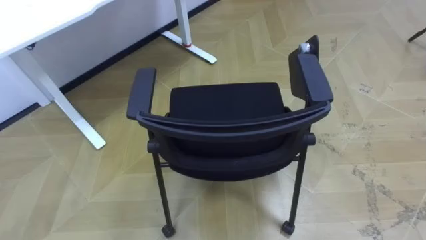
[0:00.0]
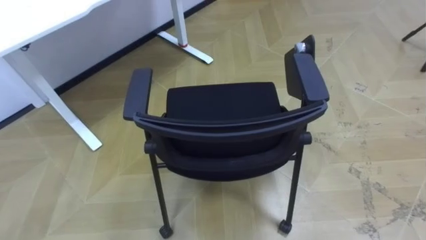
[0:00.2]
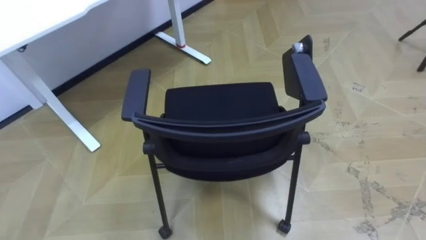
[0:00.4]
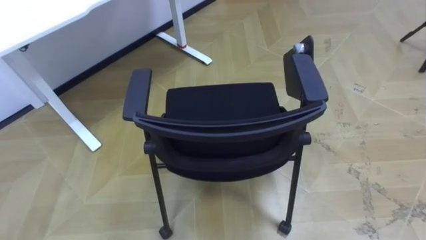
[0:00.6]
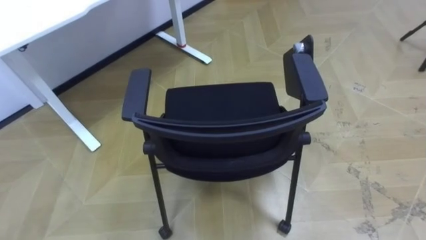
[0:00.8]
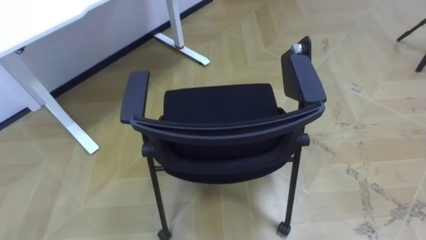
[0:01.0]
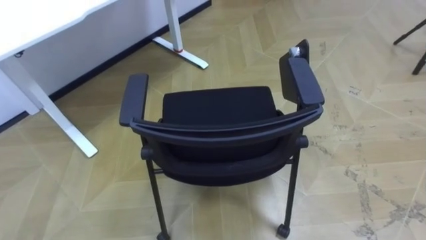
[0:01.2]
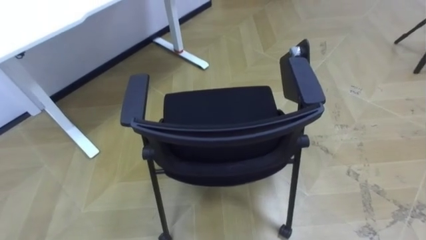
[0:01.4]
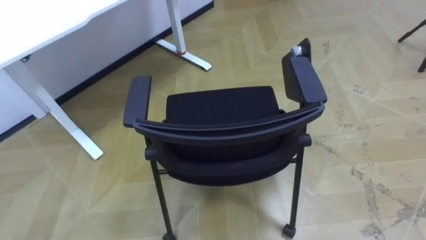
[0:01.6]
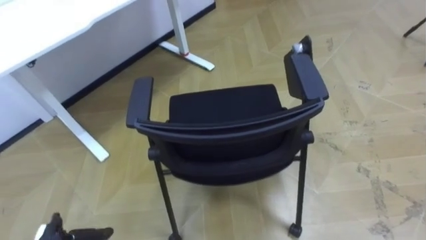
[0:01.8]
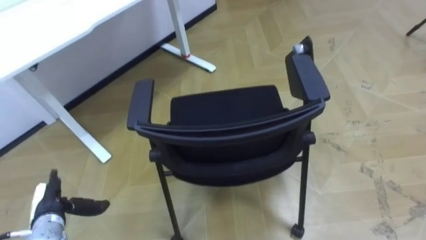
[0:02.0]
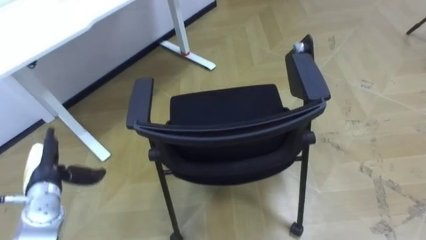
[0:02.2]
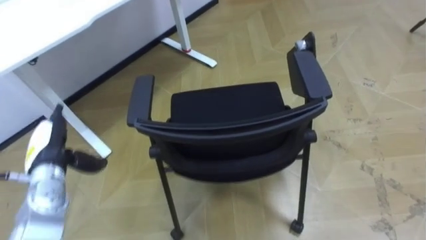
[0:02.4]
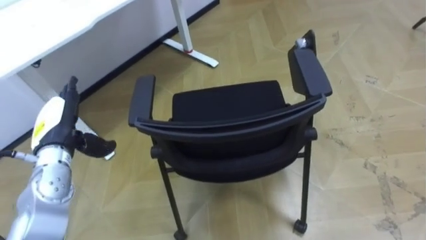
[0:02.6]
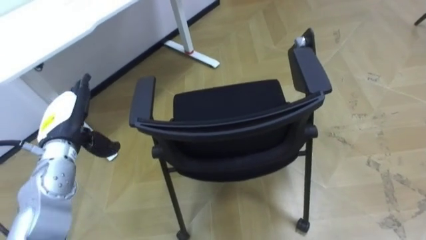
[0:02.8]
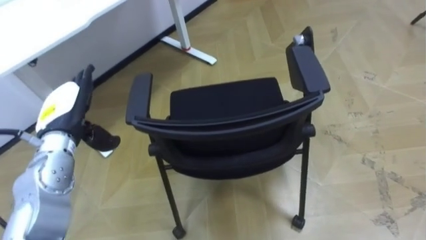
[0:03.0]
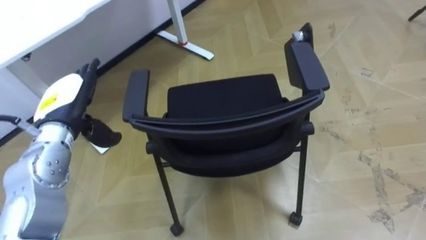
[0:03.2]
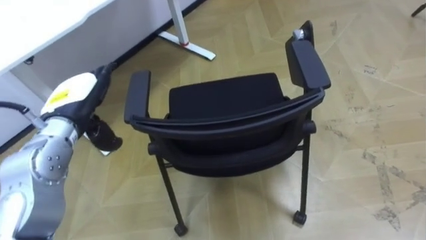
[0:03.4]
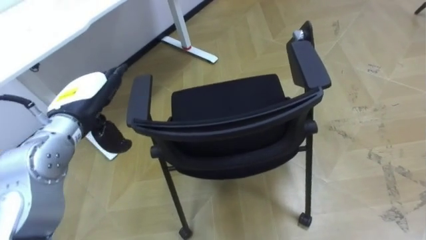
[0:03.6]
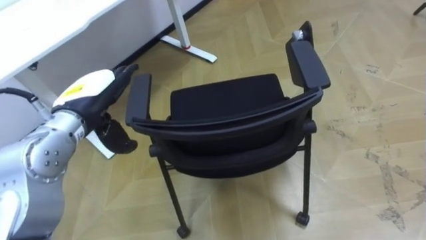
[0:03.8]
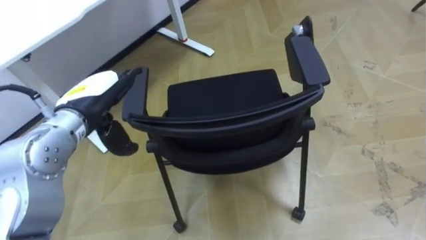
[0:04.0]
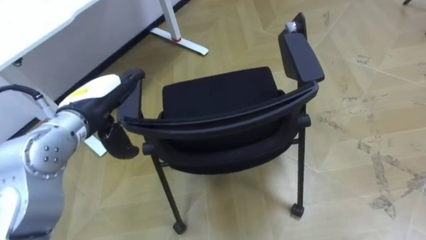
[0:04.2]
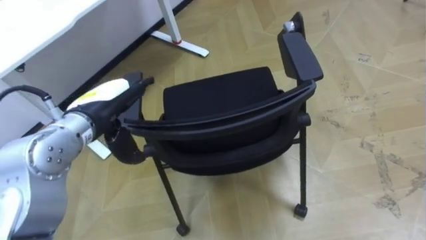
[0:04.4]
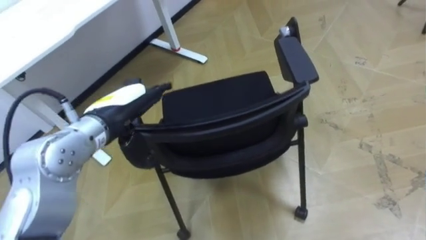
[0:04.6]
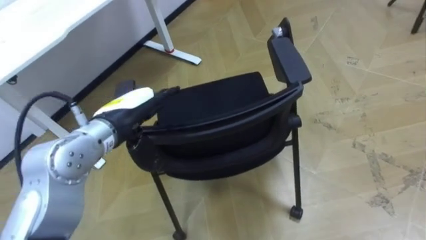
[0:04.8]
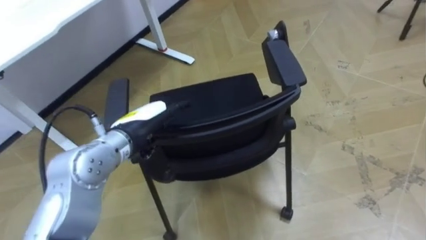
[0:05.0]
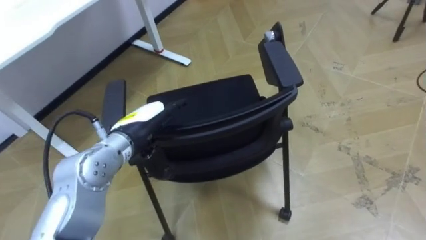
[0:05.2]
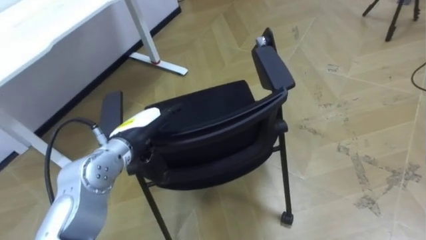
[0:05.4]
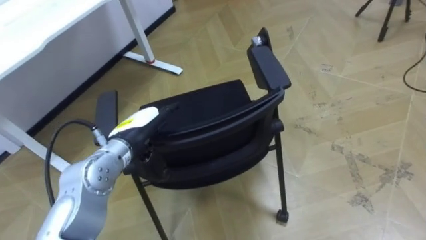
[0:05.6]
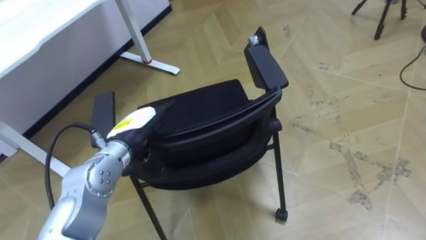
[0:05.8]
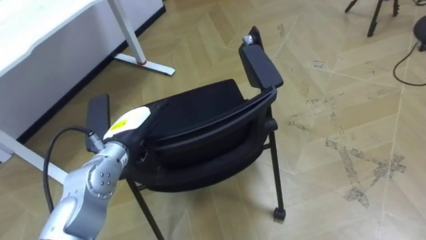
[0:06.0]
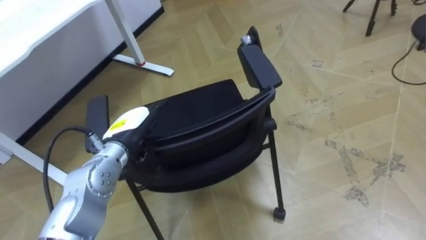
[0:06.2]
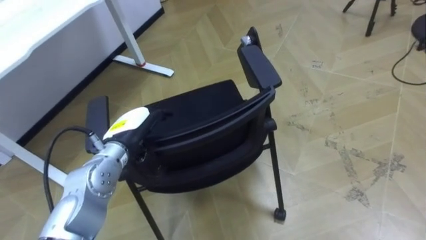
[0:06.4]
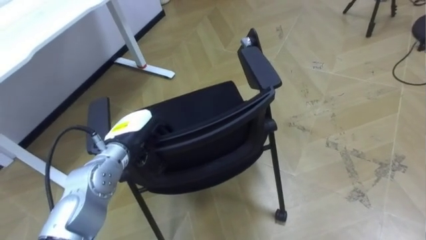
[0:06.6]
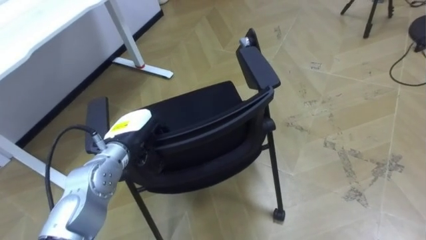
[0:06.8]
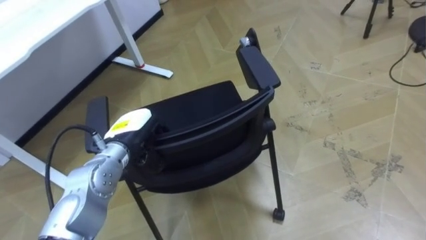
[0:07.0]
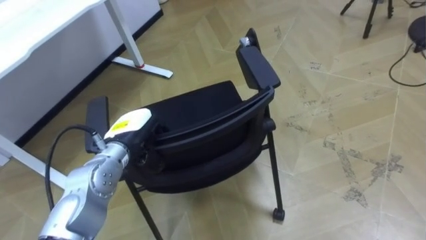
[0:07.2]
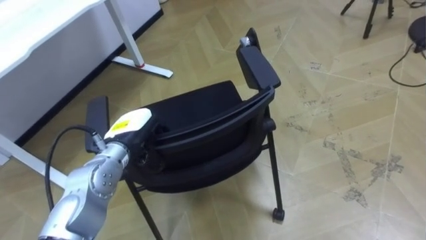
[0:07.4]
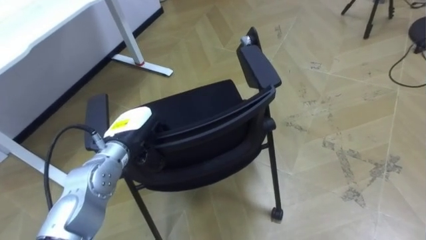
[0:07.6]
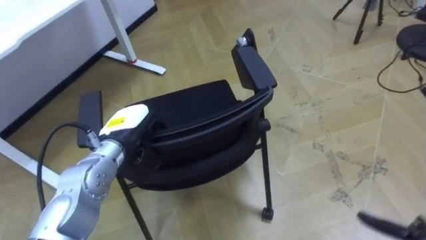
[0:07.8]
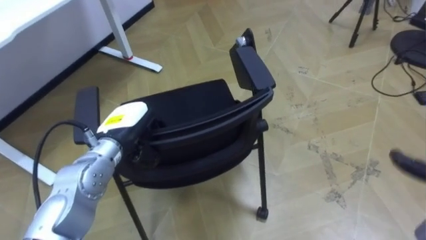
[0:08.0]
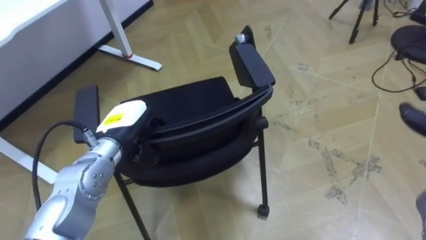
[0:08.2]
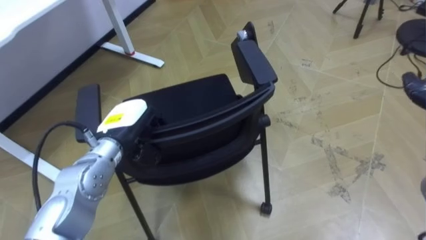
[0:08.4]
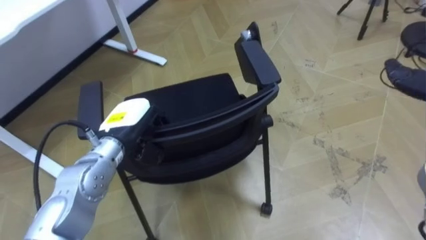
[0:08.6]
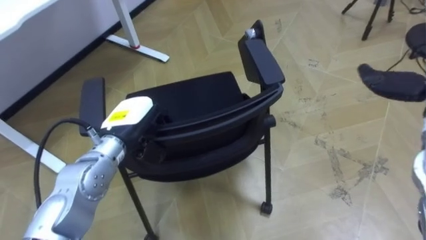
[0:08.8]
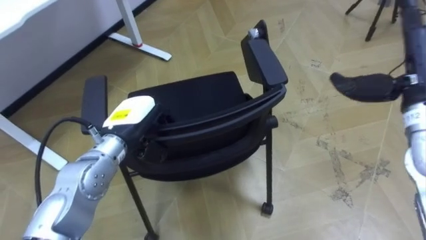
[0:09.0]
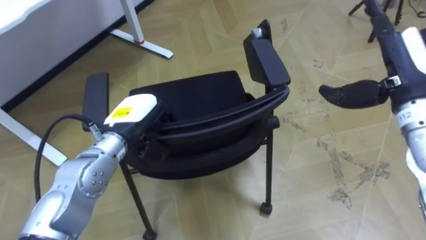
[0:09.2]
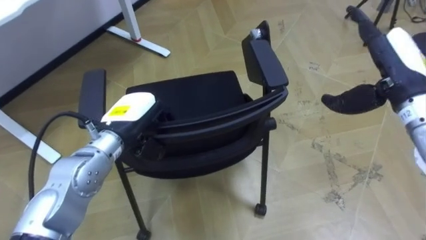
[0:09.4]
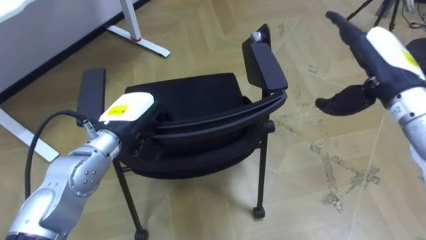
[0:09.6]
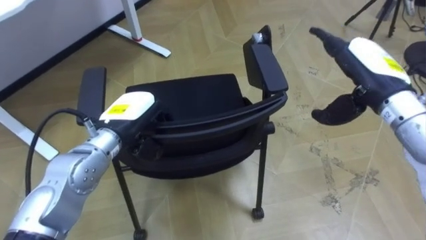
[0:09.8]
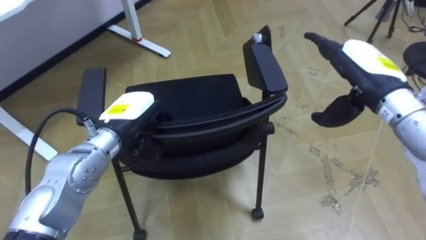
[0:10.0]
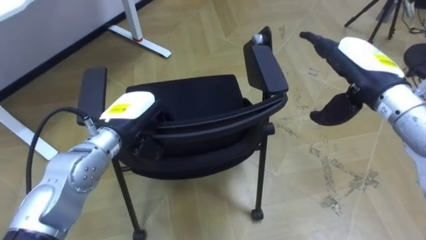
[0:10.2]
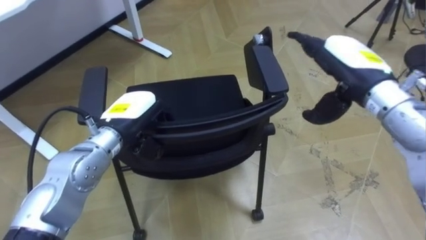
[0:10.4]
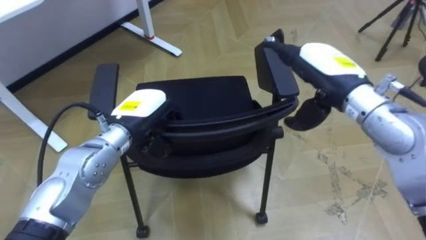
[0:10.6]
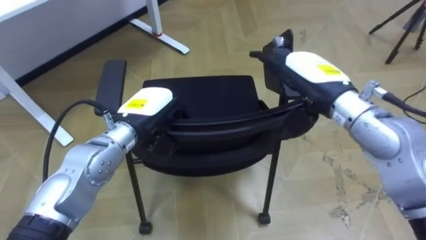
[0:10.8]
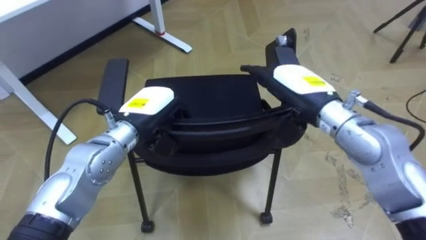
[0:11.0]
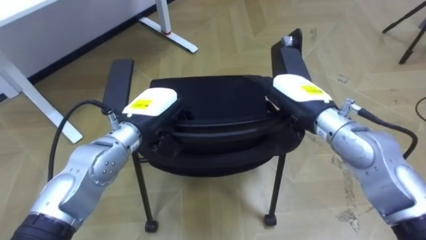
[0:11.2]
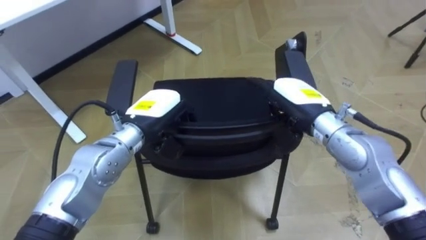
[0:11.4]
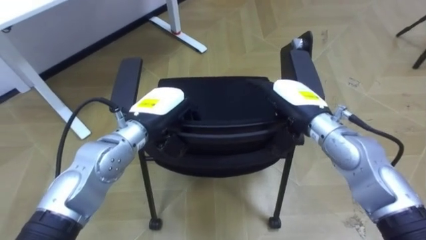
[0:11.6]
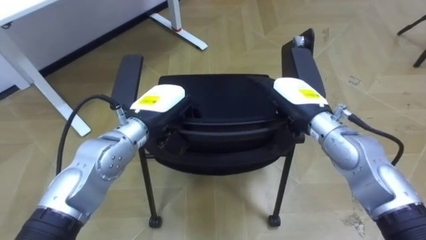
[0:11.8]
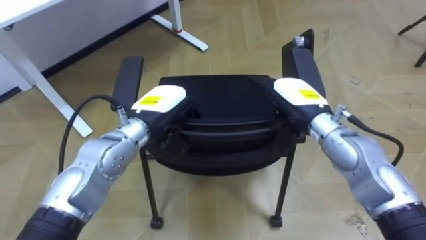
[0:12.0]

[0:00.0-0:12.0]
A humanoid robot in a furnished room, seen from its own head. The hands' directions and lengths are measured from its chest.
Task of the whole recording: Push the chair under the table.
0:03.0 to 0:04.4: The left hand goes approximately 5 cm to the right.
0:04.4 to 0:06.0: The left hand moves downward, about 10 cm.
0:06.0 to 0:07.6: The left hand closes its fingers.
0:09.0 to 0:10.4: The right hand heads to the left, covering roughly 10 cm.
0:10.4 to 0:12.0: The left hand shifts roughly 5 cm to the right. The right hand is displaced downward and to the left by some 10 cm.

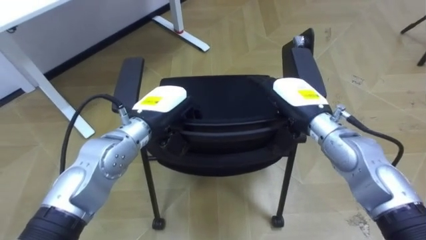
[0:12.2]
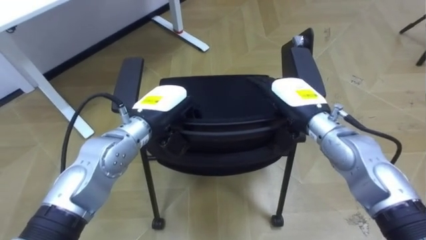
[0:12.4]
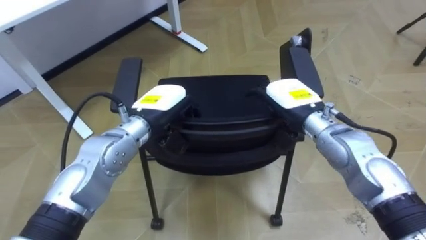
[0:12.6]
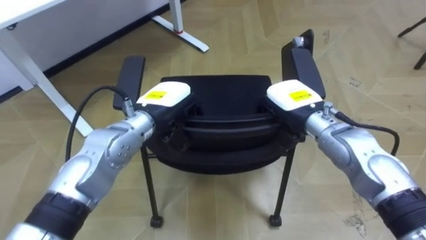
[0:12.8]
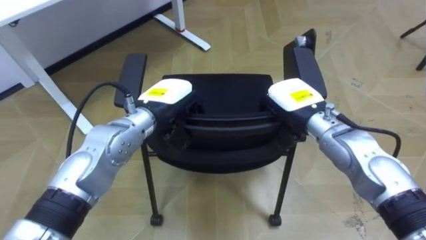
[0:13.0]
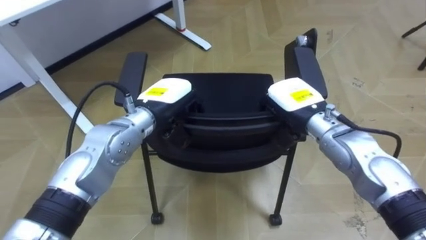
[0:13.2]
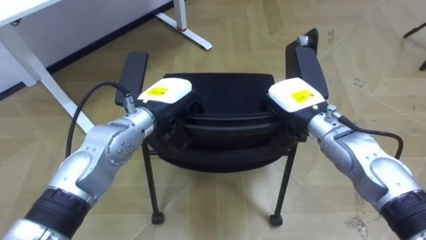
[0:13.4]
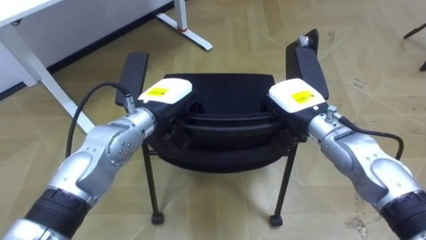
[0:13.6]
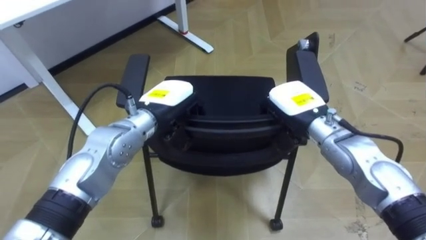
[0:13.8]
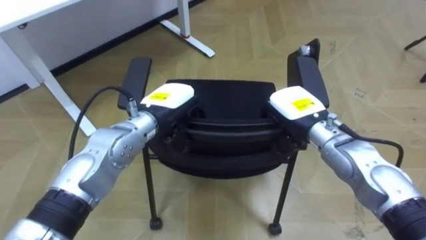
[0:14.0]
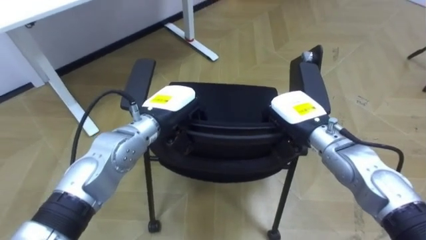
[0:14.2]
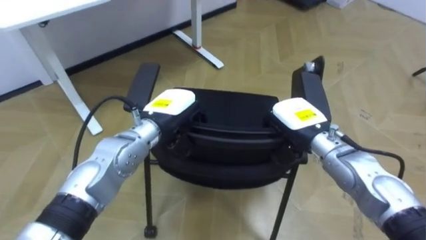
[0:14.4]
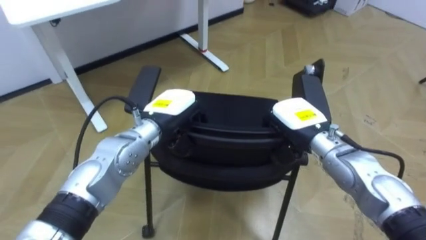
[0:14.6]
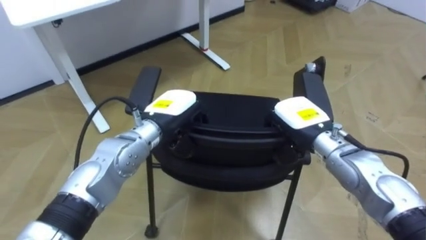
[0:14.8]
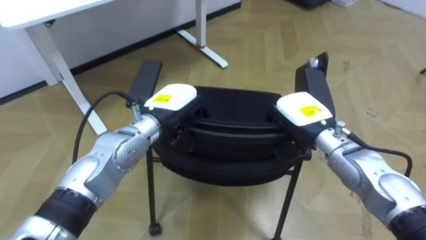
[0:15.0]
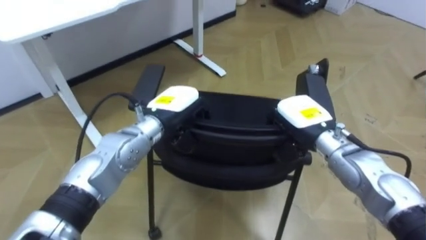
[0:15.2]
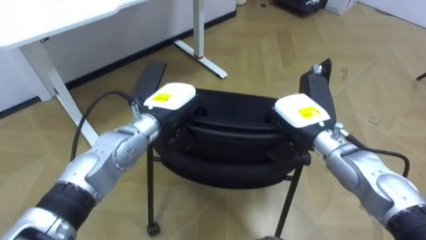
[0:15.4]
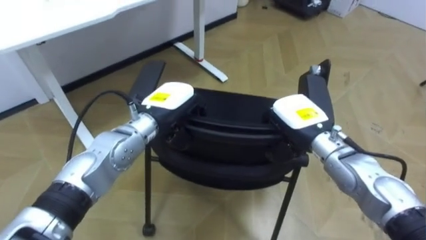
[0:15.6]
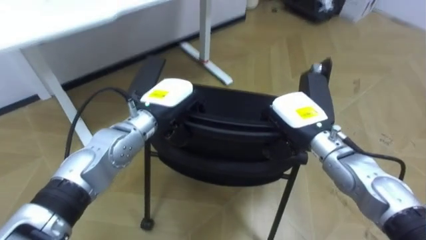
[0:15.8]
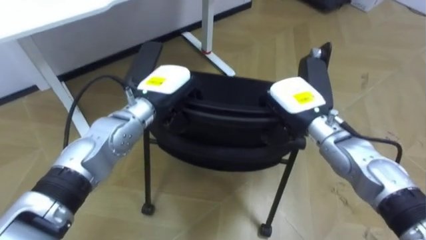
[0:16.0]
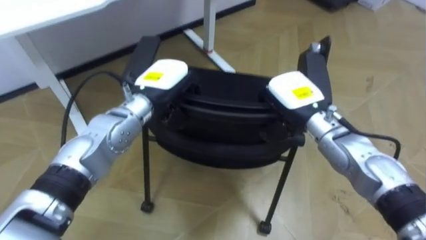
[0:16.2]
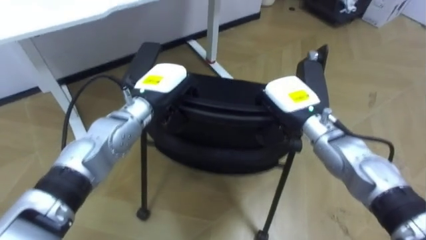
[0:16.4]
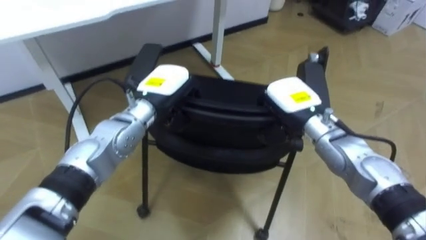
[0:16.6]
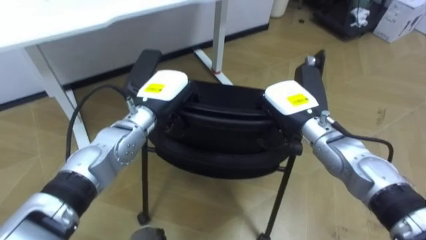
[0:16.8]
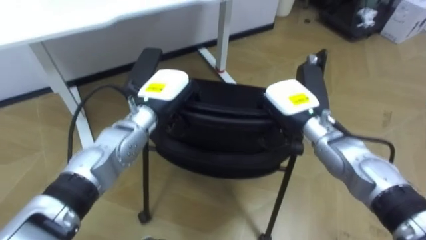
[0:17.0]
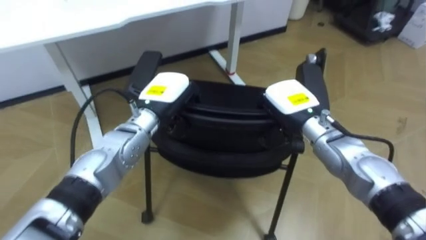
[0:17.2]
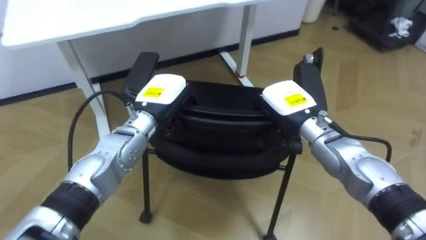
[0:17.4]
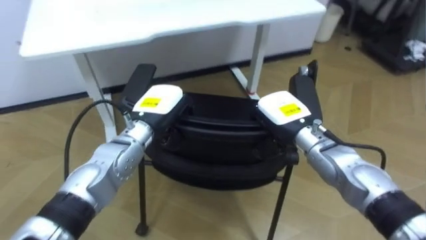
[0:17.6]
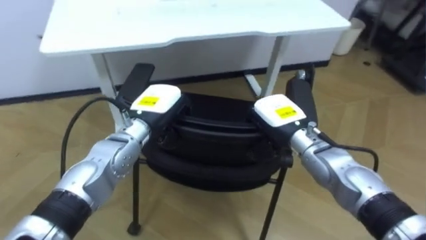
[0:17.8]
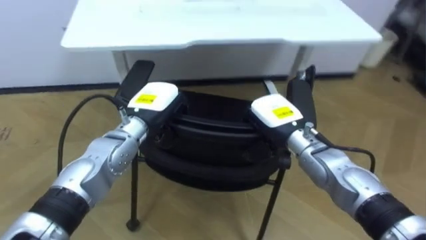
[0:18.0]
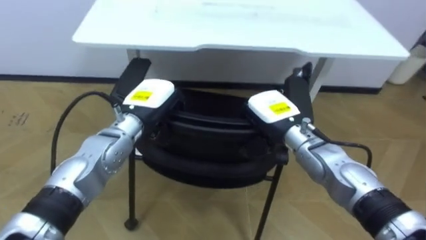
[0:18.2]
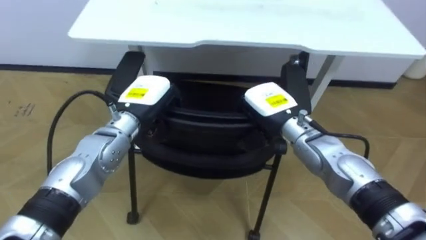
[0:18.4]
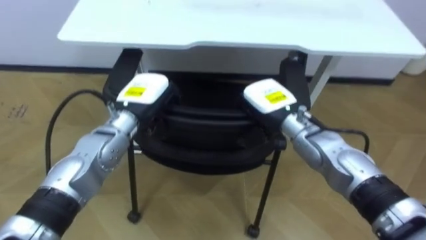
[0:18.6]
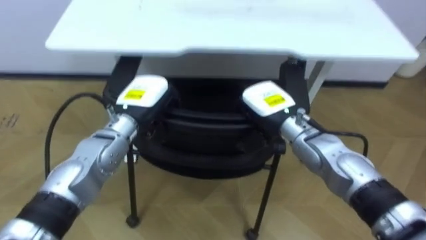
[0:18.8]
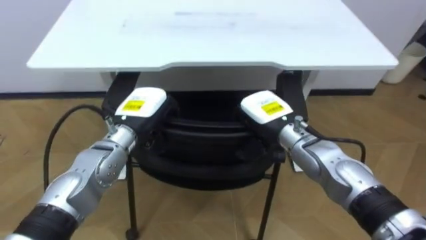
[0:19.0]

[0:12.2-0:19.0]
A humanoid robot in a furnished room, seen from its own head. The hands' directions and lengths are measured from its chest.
Task of the whole recording: Push the chair under the table.
0:12.2 to 0:13.6: The right hand closes.
